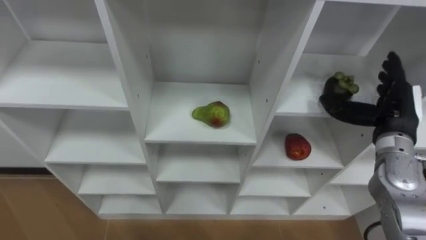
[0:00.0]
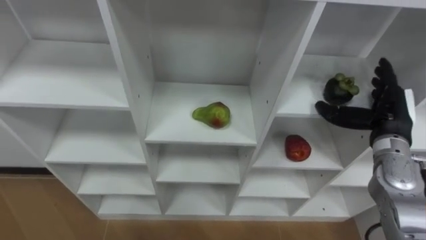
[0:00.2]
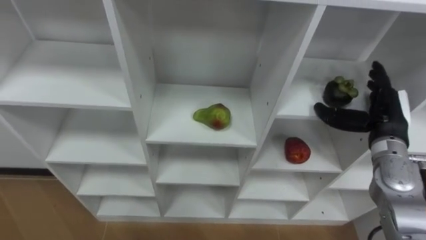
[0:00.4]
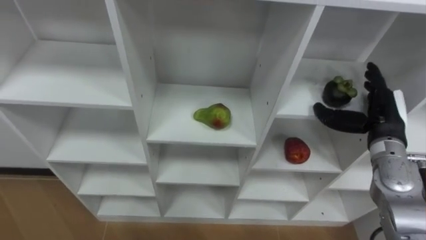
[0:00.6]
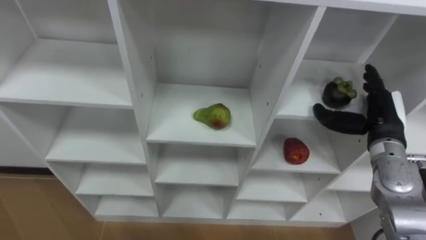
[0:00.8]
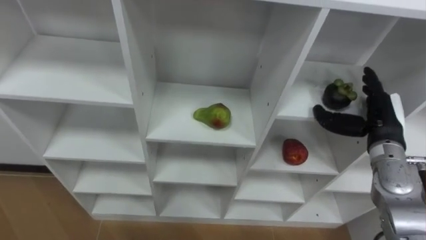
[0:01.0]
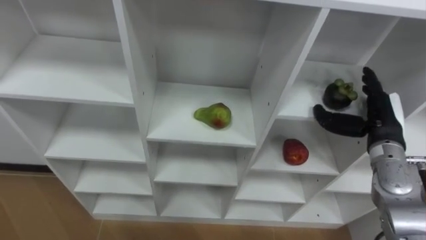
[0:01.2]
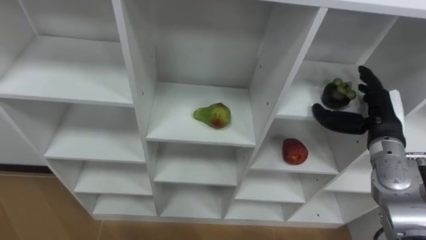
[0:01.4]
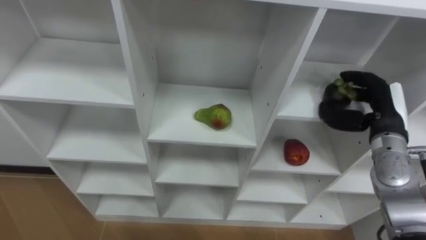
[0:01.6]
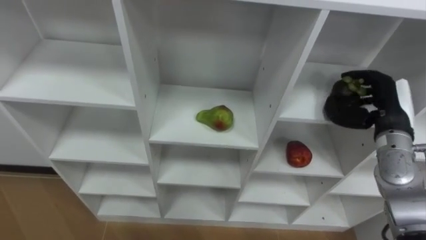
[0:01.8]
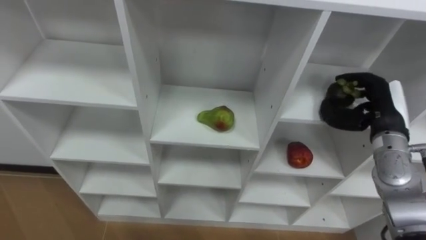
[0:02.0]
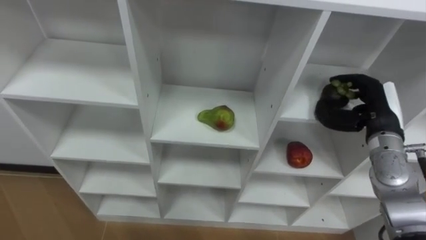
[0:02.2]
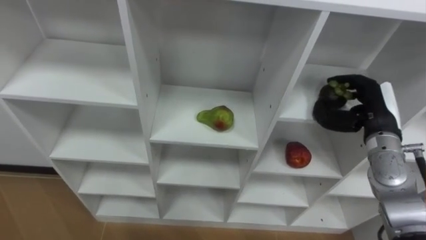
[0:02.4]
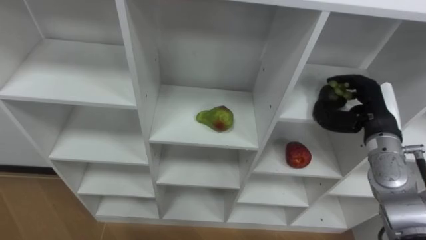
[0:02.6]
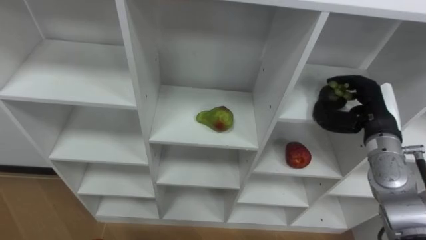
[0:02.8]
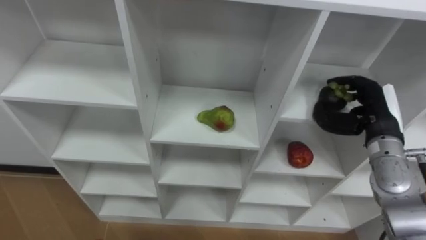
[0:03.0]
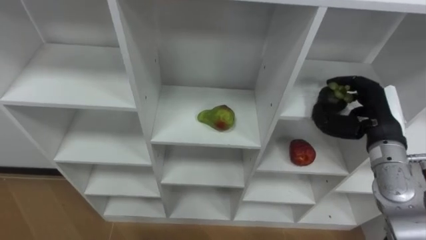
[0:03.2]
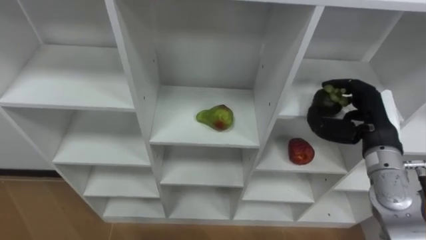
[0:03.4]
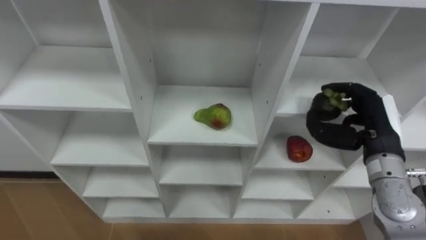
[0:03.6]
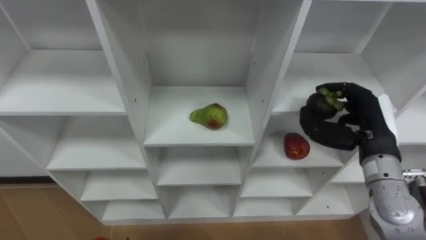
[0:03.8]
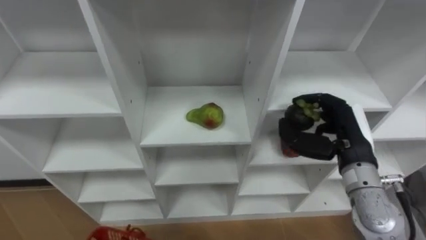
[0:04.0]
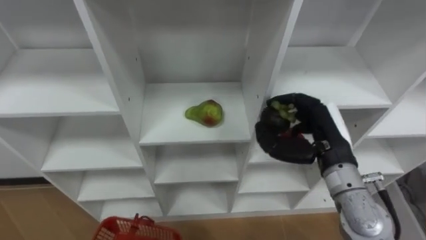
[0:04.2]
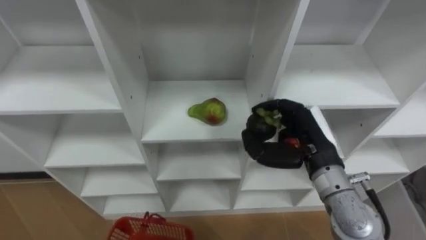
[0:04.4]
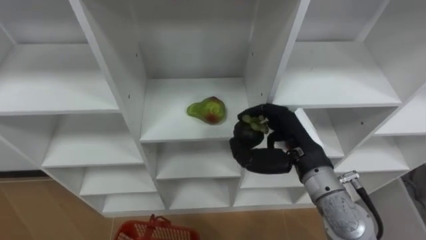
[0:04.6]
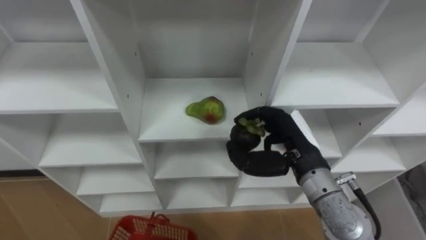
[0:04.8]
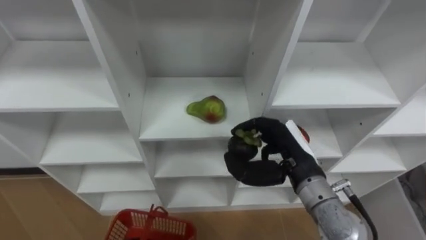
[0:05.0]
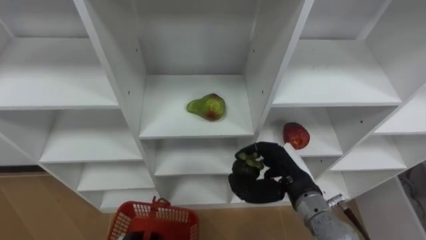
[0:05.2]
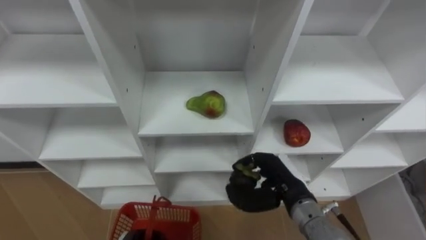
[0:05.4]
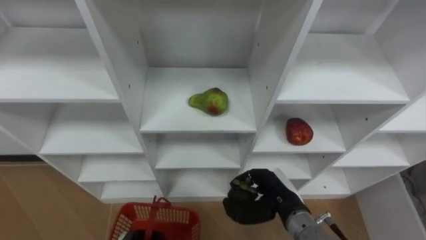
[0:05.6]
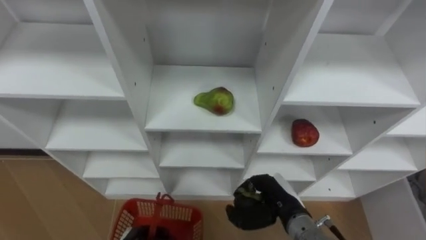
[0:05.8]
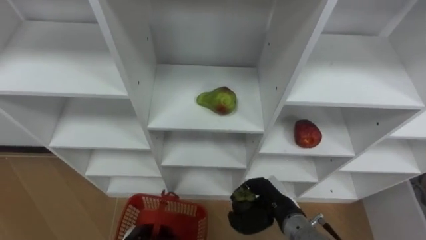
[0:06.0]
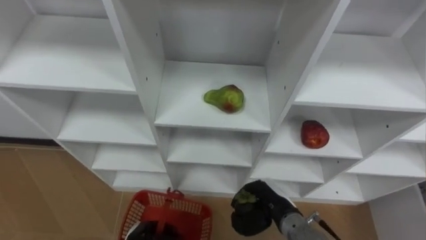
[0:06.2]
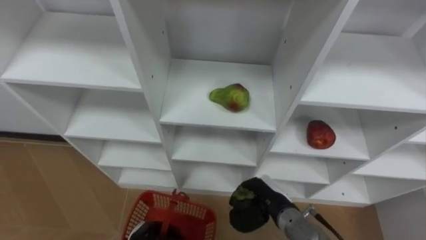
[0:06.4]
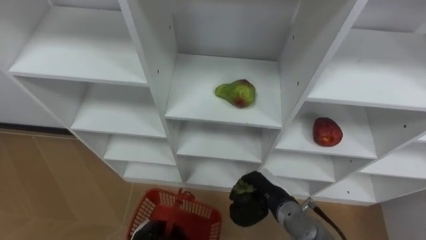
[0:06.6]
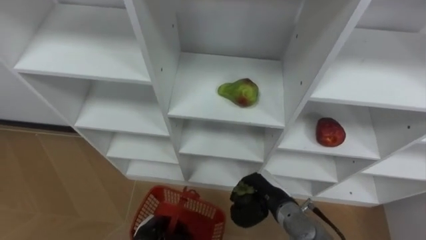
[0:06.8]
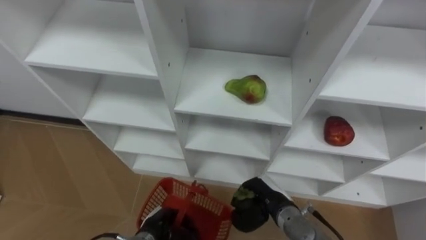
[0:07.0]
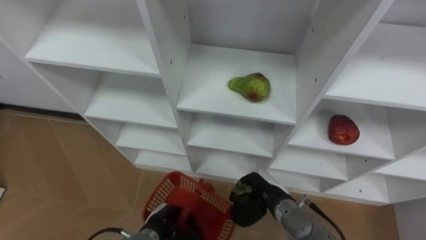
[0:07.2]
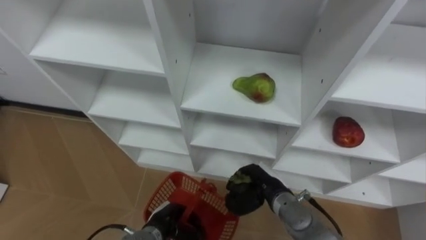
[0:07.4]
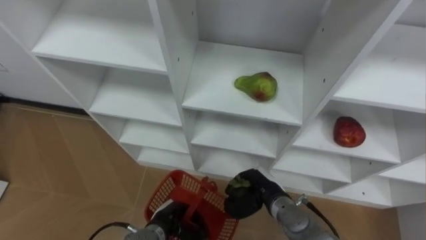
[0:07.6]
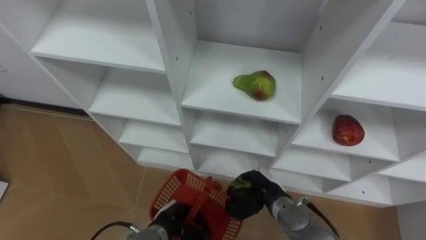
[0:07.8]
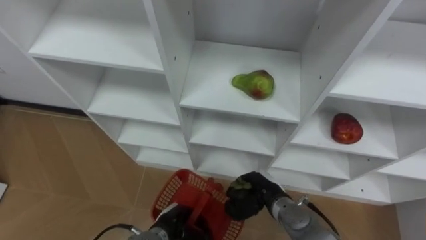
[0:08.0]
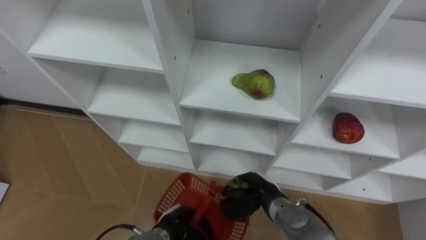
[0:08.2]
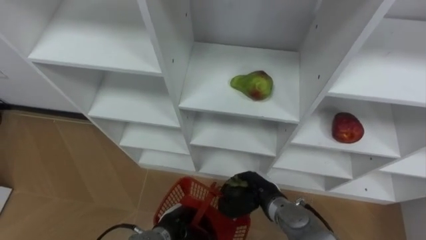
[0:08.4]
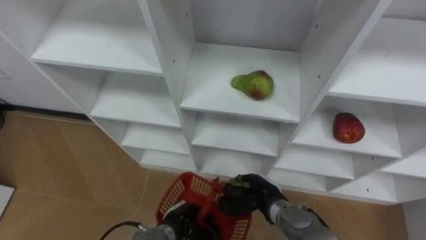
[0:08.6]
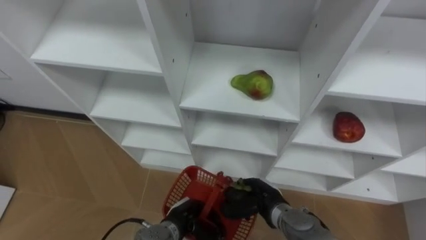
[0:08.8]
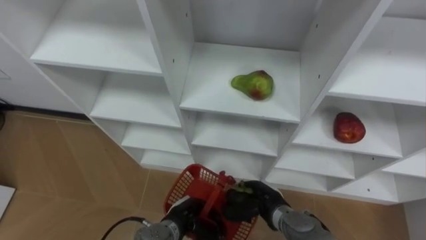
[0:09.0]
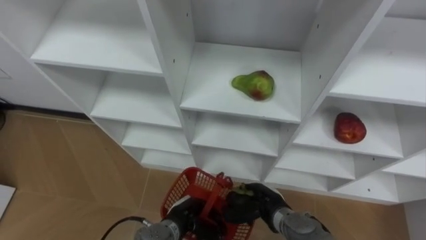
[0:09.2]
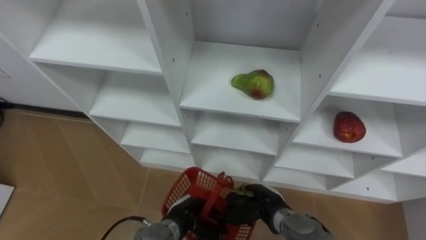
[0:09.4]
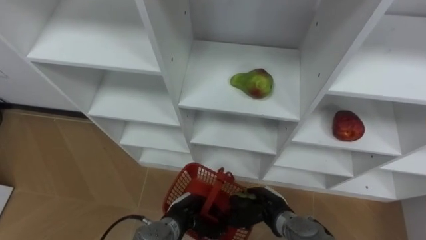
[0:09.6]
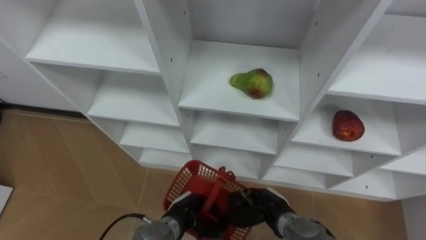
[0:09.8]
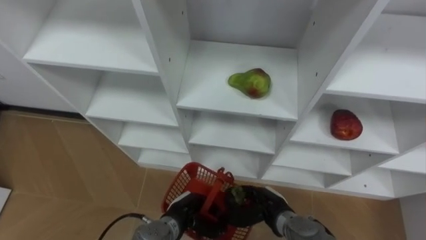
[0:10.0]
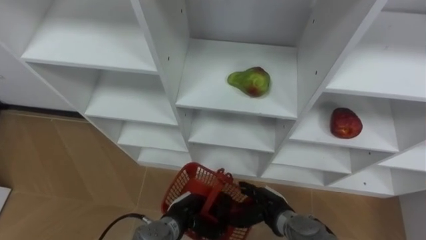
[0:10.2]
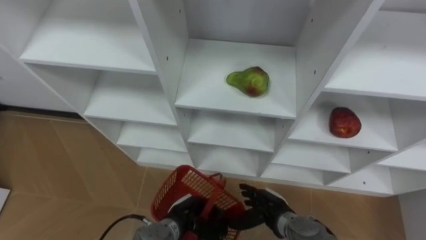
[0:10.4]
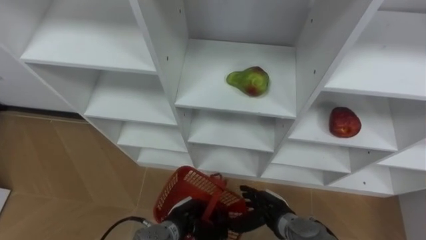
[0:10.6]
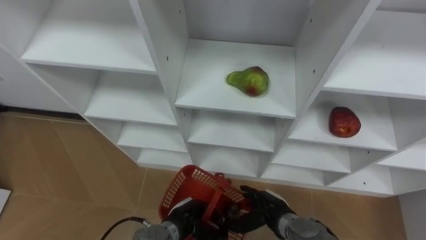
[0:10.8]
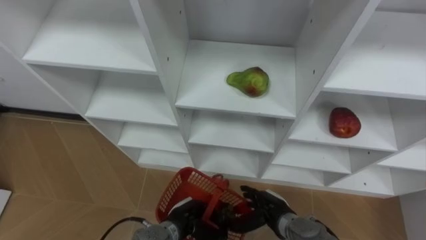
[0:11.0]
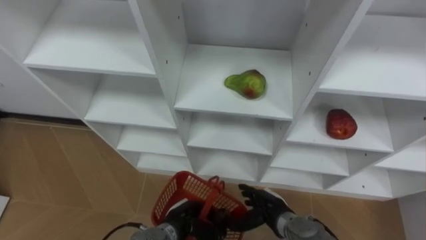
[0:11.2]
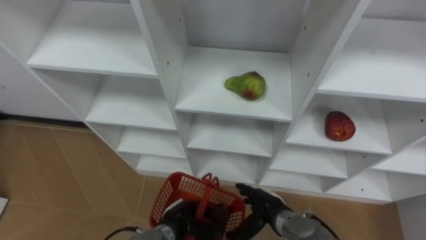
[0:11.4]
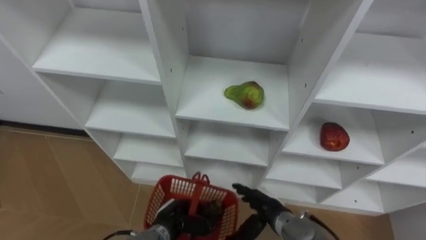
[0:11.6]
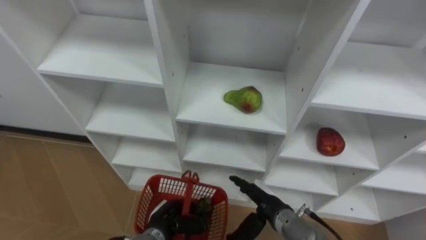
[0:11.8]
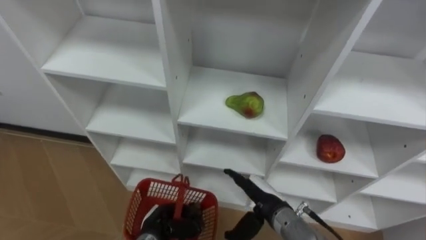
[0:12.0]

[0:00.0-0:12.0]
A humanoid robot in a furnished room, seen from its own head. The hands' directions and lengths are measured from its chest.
Task of the whole recording: Hold the basket and collect the fruits from 3 different cells of the closet into it.
0:00.0 to 0:01.6: The right hand closes up.
0:03.0 to 0:04.4: The right hand moves to the left and backward, about 15 cm.
0:04.4 to 0:06.0: The right hand moves downward, approximately 15 cm.
0:09.0 to 0:10.4: The right hand opens.
0:10.4 to 0:12.0: The right hand goes roughly 5 cm upward. The left hand heads to the left, covering approximately 5 cm.

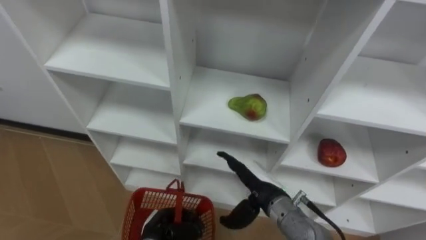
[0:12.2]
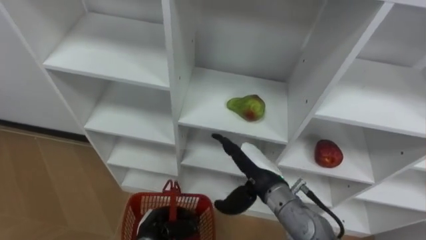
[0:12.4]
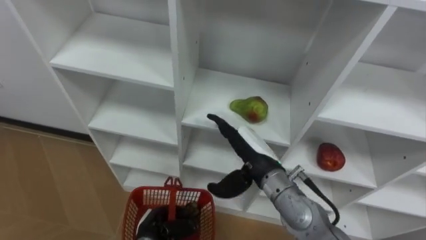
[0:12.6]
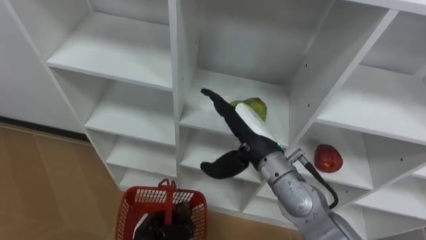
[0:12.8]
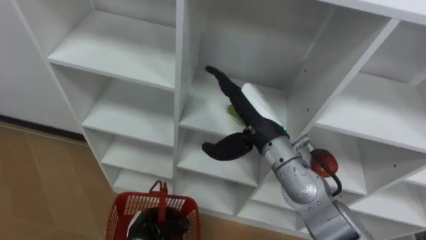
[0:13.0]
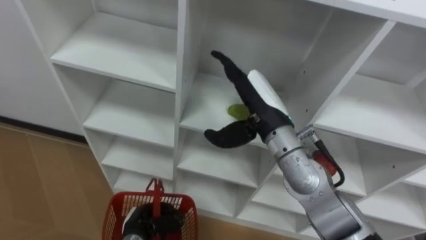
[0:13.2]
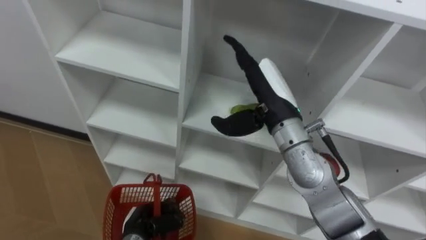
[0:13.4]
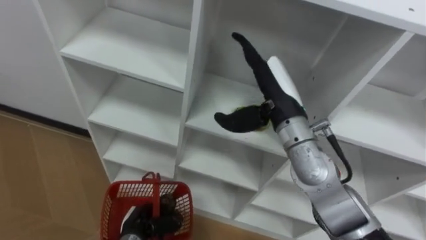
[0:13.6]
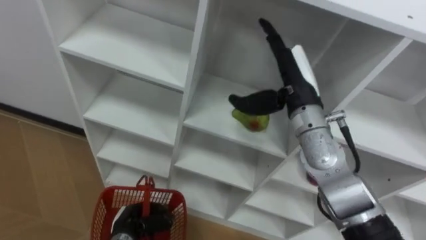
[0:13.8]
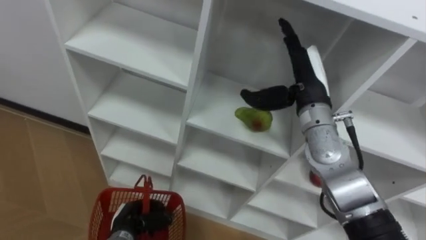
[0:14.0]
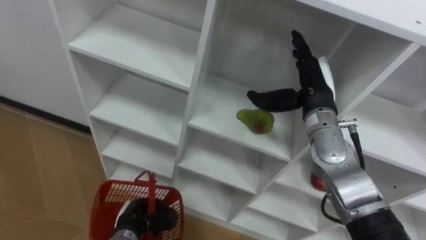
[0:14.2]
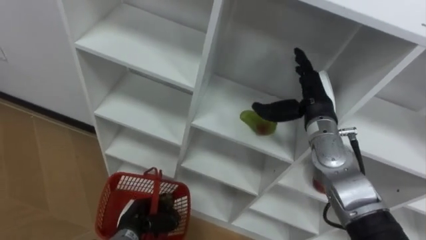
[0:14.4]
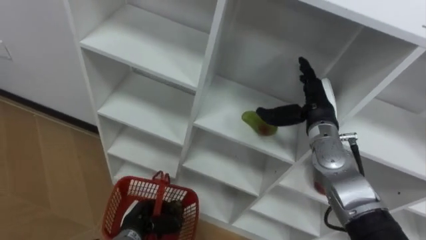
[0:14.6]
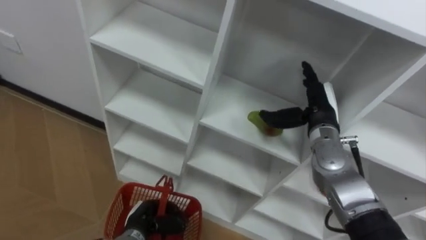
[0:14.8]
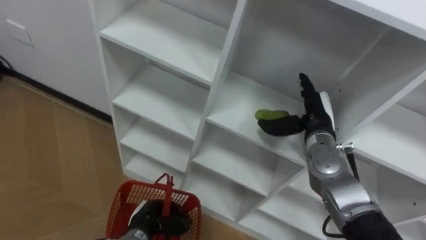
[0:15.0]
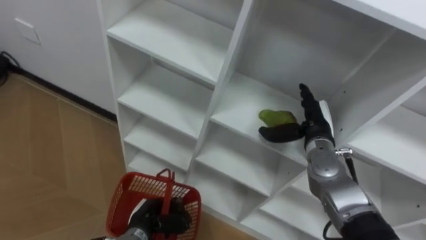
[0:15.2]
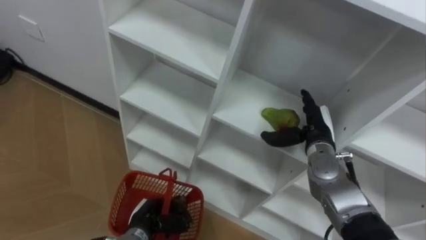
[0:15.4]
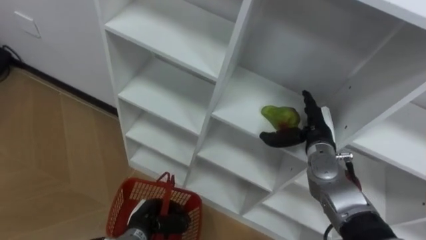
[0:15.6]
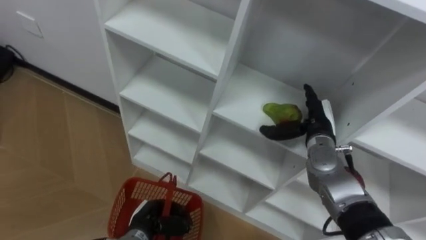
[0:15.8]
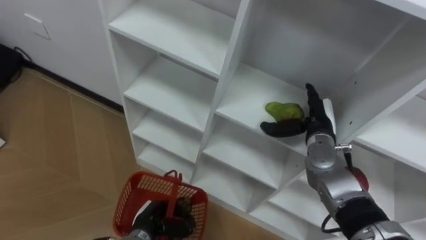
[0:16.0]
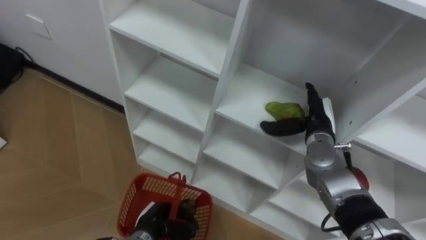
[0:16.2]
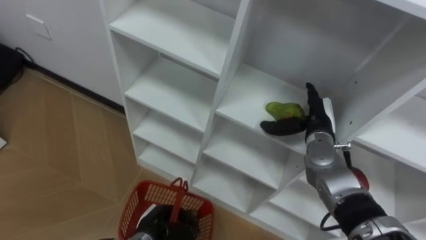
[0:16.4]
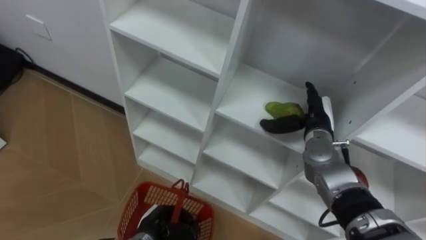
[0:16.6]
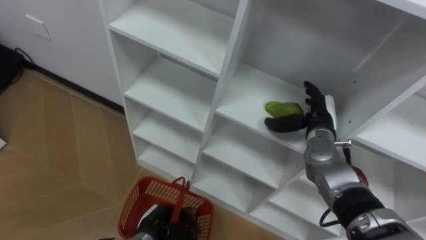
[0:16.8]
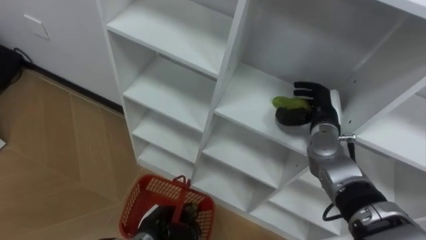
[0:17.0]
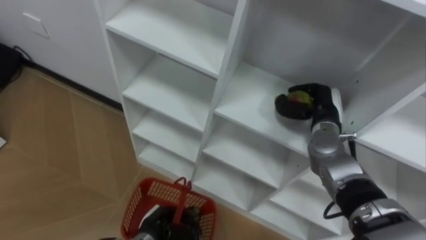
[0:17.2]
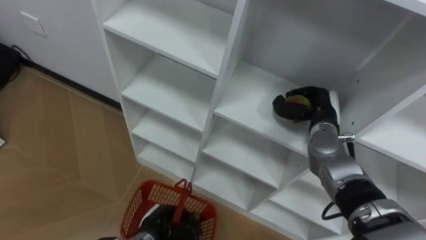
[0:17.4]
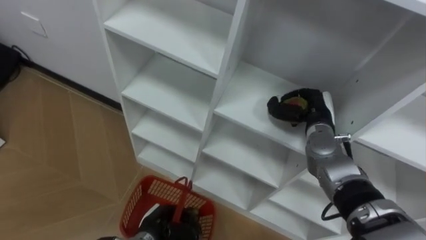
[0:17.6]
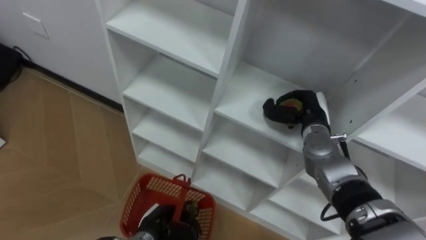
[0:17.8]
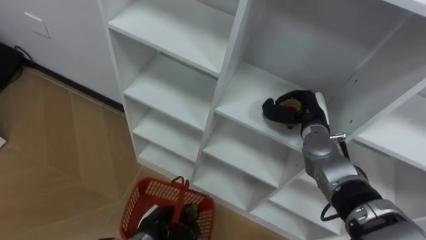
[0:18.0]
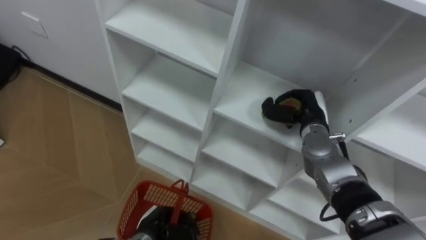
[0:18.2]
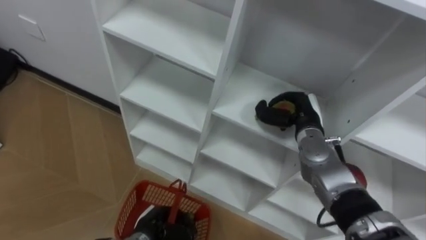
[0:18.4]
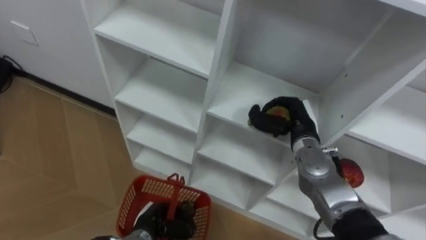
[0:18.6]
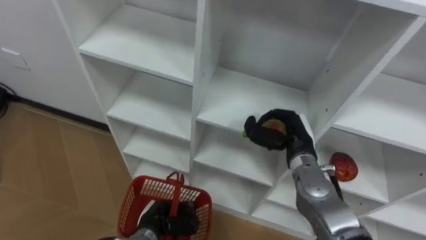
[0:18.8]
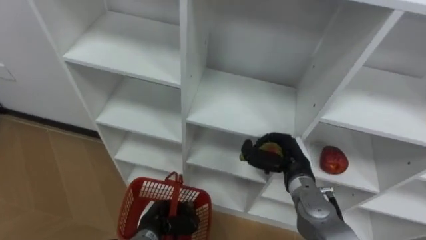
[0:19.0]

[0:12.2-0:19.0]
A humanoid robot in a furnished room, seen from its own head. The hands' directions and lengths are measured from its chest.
Task of the whole recording: Hold the basket and collect the fruits from 3 different cells of the closet into it.
0:12.2 to 0:13.6: The right hand shifts roughly 20 cm upward and forward.
0:13.6 to 0:15.0: The right hand shifts approximately 15 cm downward and to the right.
0:16.2 to 0:17.6: The right hand closes.
0:17.6 to 0:19.0: The right hand is displaced backward by some 10 cm.
